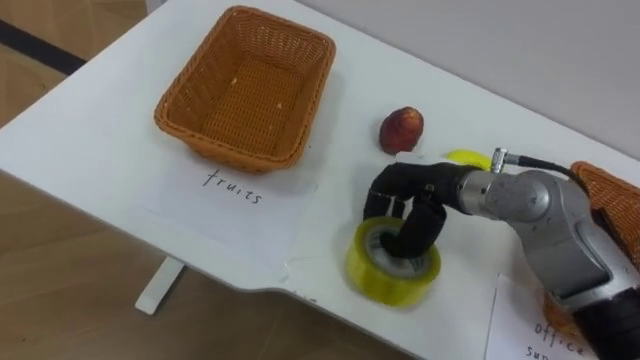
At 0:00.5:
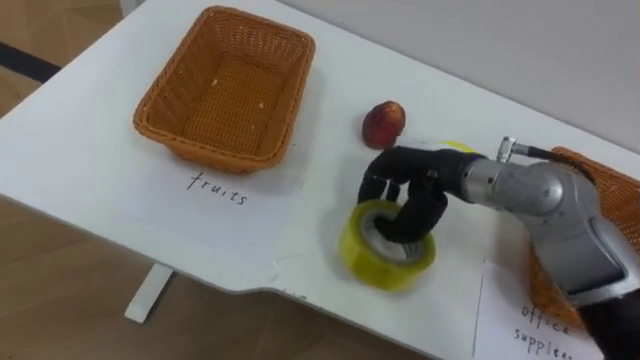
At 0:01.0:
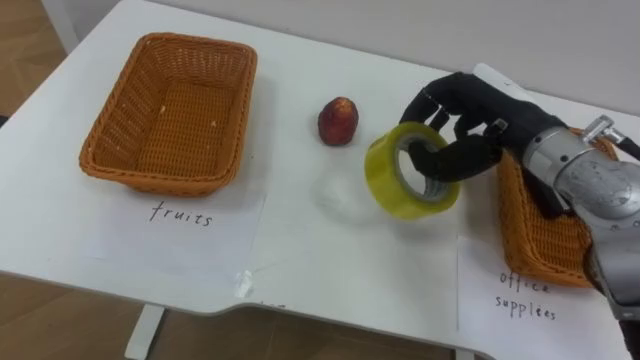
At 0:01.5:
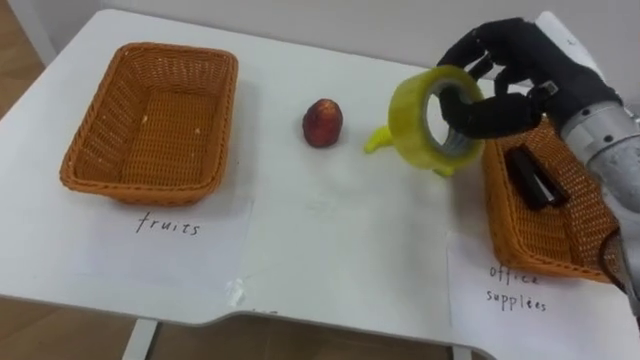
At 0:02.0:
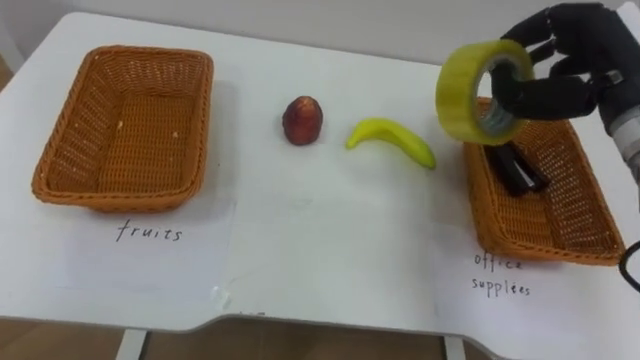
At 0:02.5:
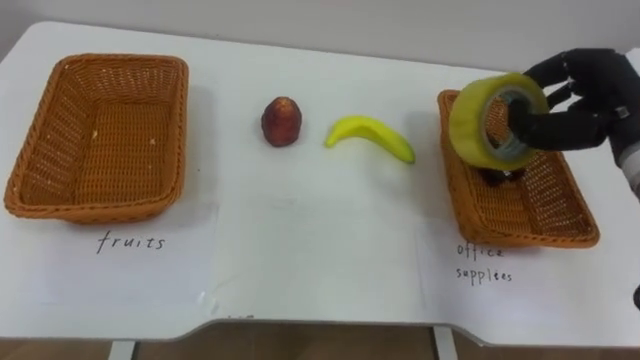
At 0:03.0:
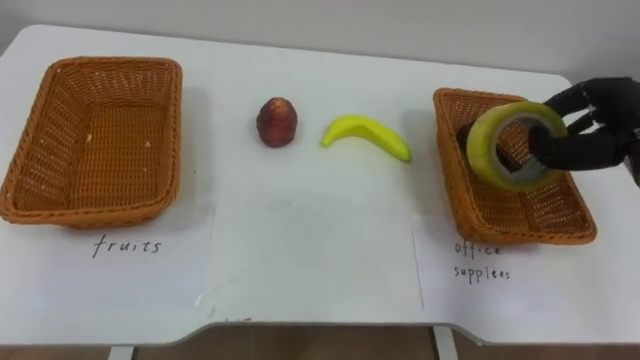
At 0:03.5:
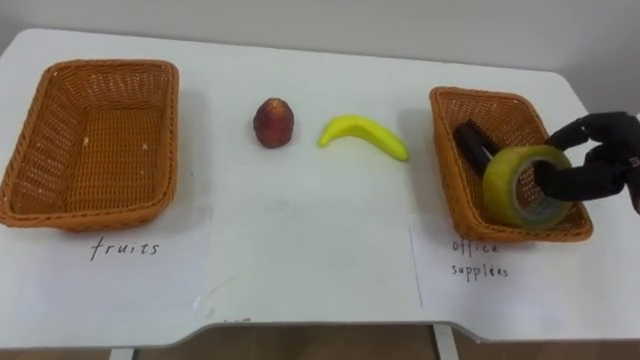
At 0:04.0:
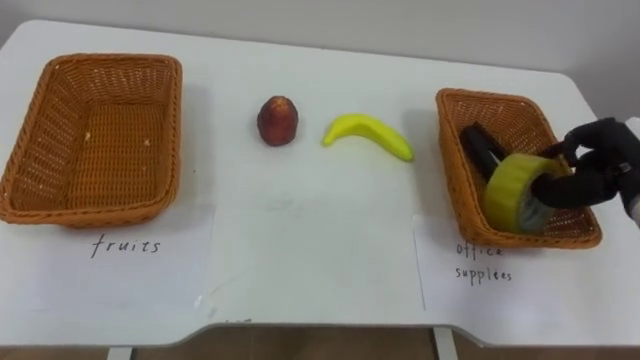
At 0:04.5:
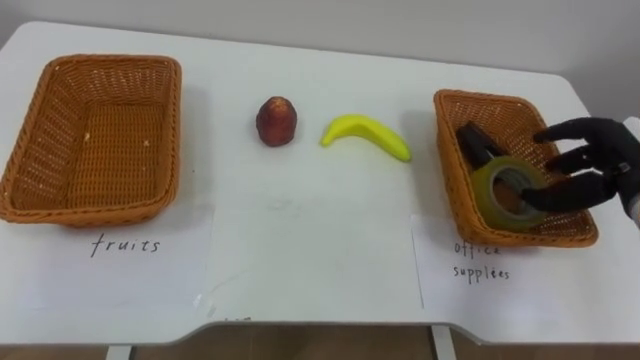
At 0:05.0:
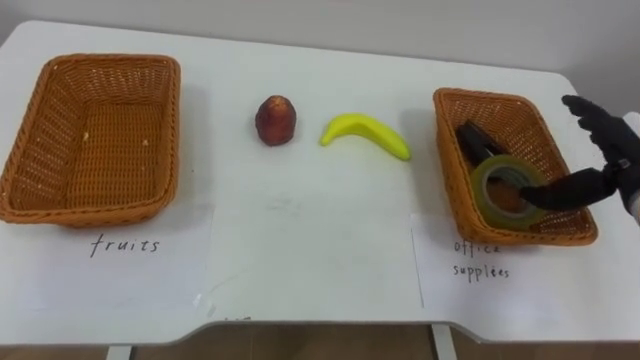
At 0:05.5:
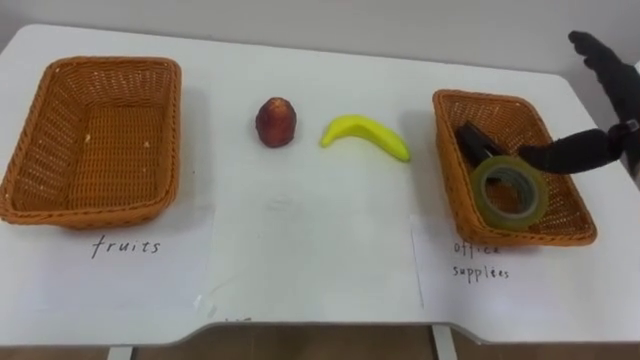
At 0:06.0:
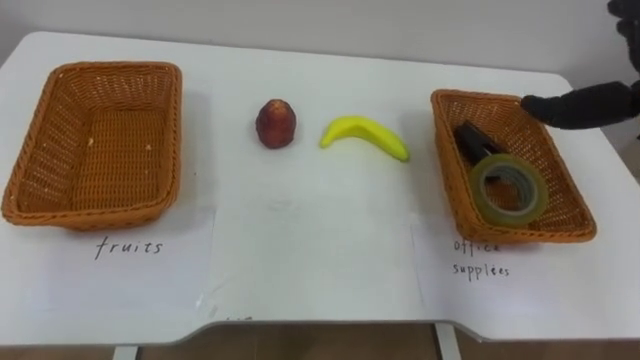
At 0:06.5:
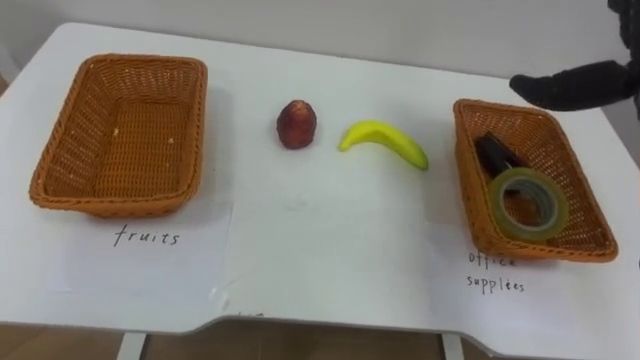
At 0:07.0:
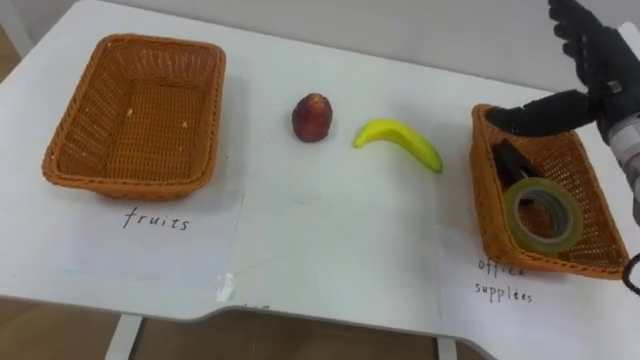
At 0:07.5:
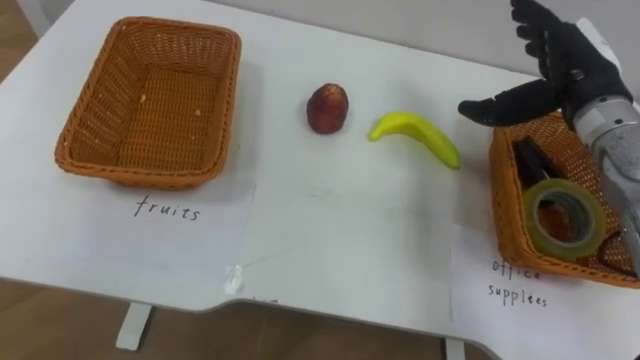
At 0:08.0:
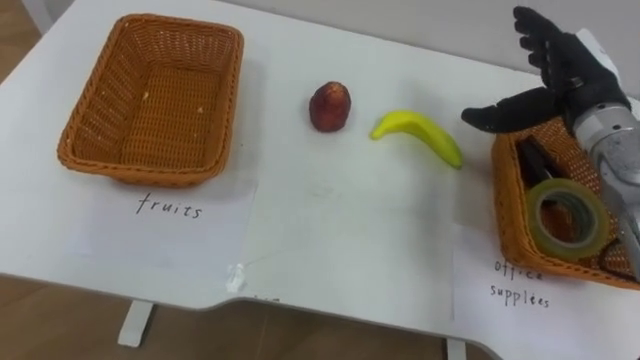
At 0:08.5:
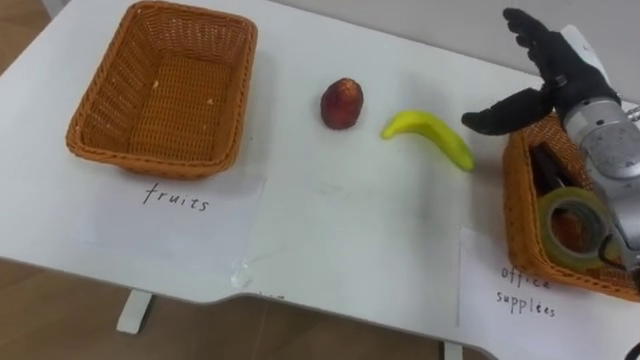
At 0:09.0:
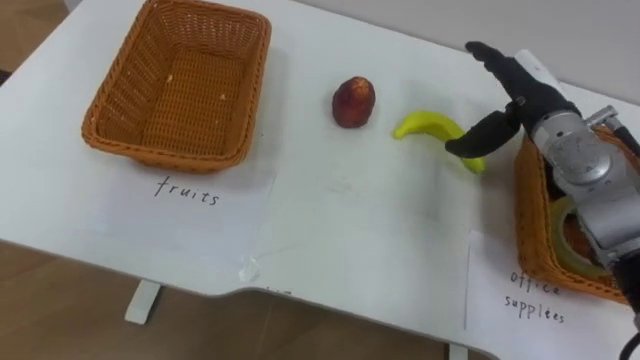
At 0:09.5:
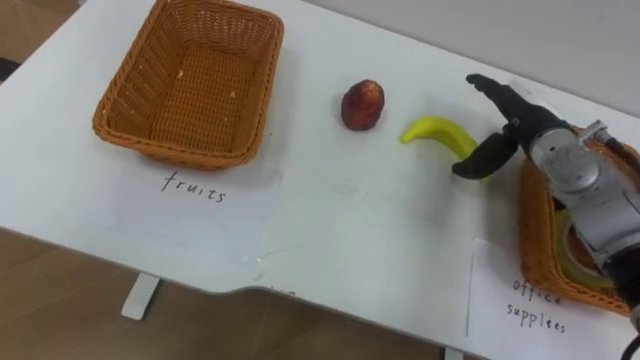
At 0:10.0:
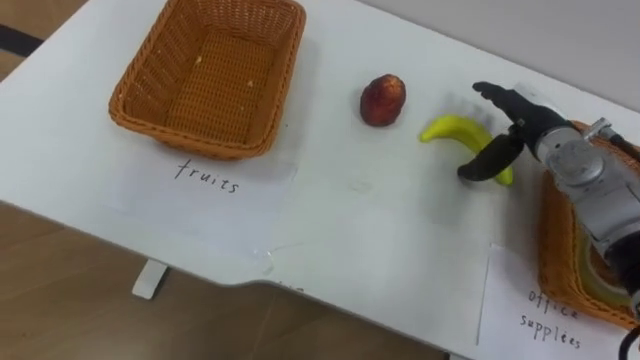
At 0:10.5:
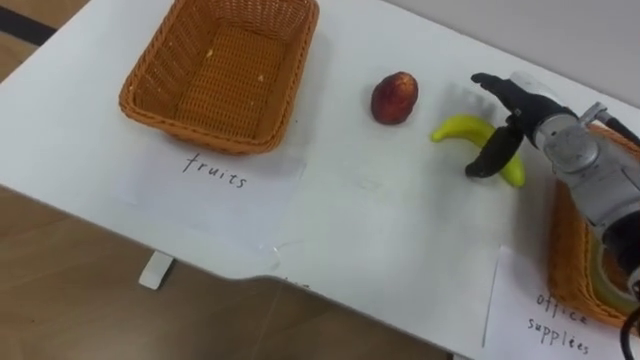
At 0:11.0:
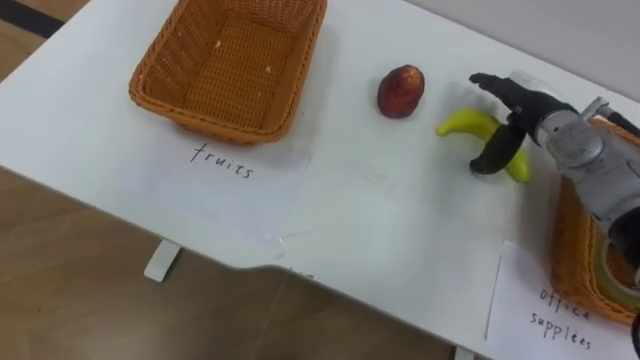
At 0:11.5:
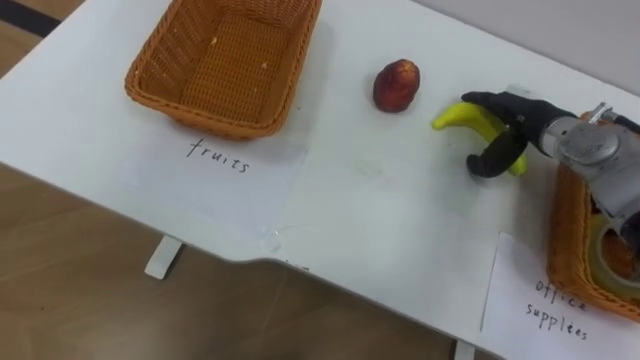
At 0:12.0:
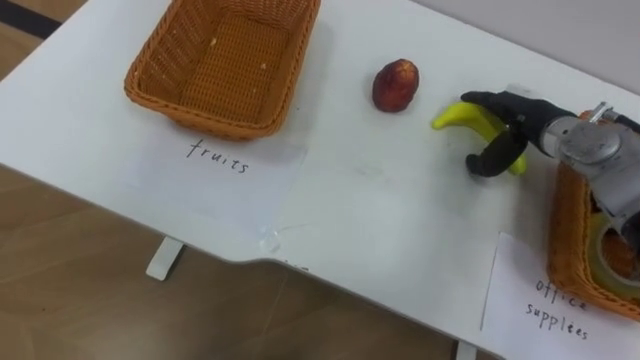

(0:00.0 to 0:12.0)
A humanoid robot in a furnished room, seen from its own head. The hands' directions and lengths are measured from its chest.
Task of the whole recording: Separate the items on the table and place them into the two baskets.
0:00.0 - 0:02.0: The right hand goes about 20 cm to the right and upward.
0:02.0 - 0:04.0: The right hand travels downward and to the right by about 15 cm.
0:08.0 - 0:10.0: The right hand moves downward, roughly 10 cm.

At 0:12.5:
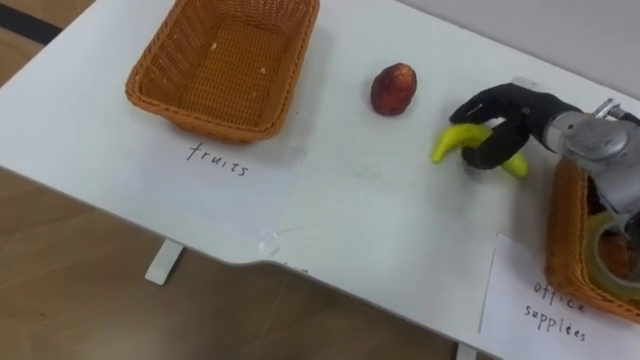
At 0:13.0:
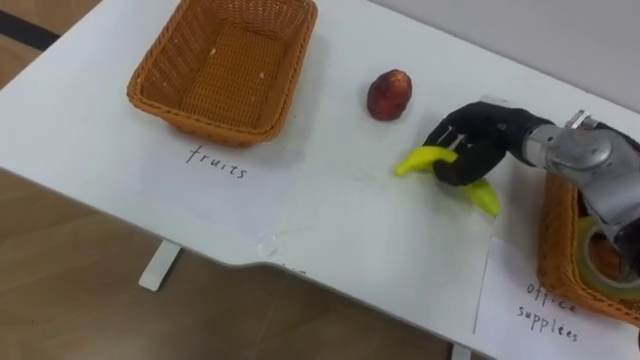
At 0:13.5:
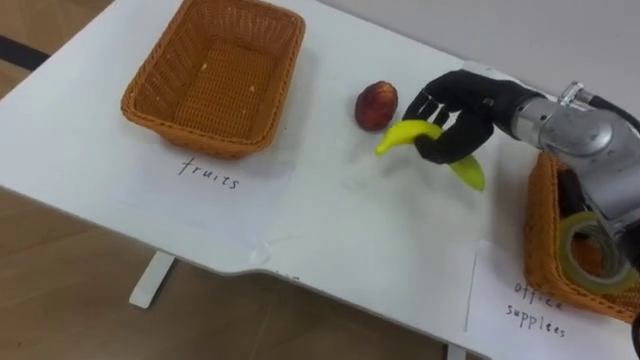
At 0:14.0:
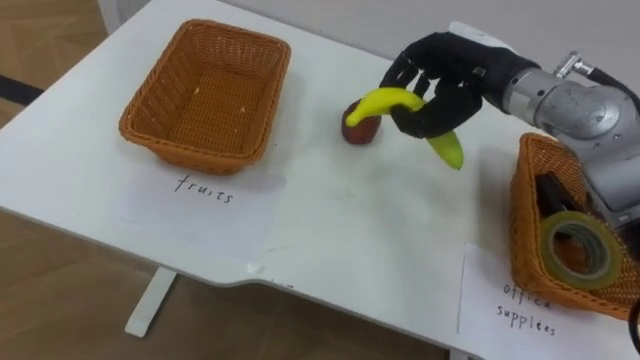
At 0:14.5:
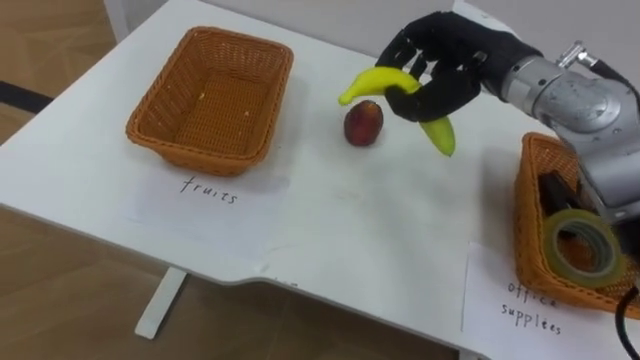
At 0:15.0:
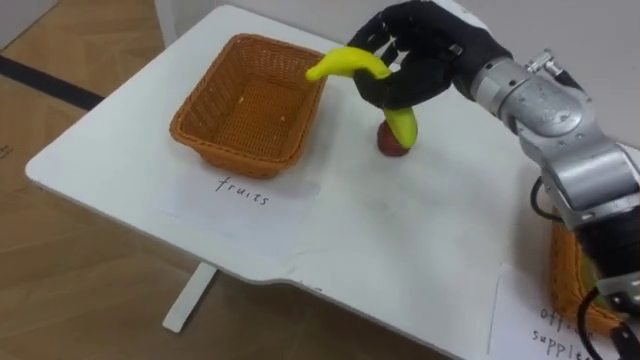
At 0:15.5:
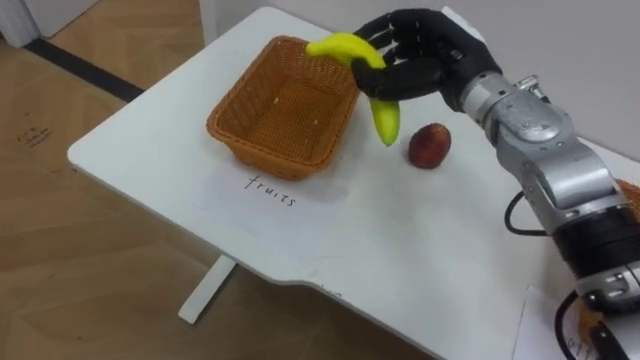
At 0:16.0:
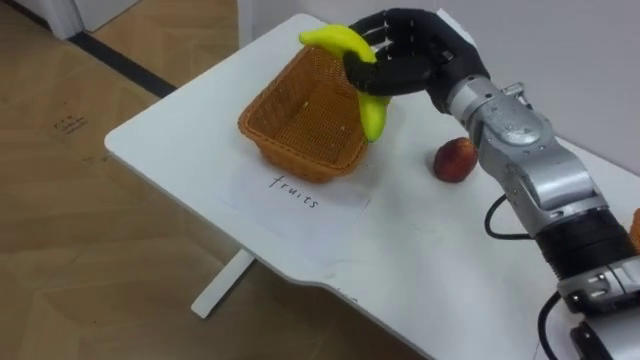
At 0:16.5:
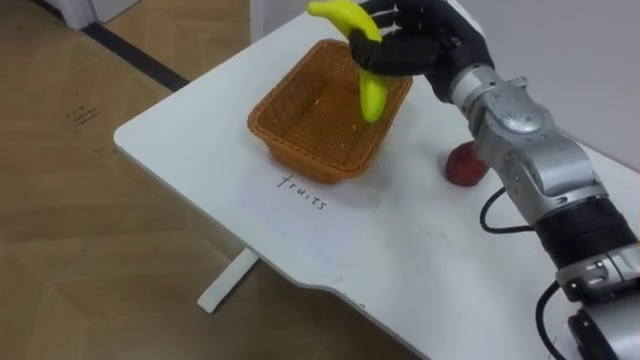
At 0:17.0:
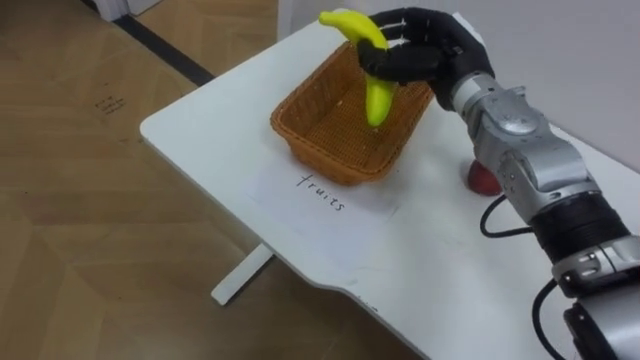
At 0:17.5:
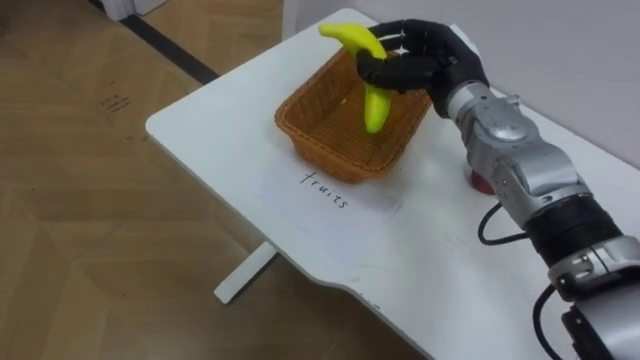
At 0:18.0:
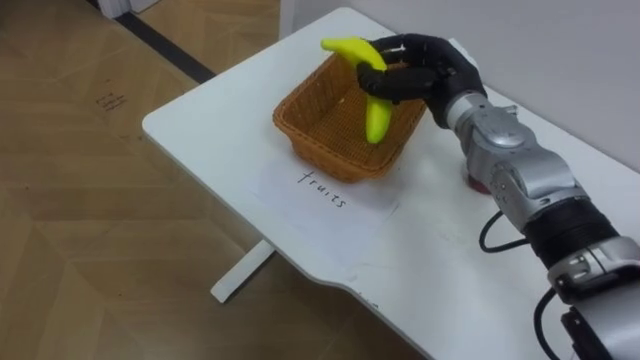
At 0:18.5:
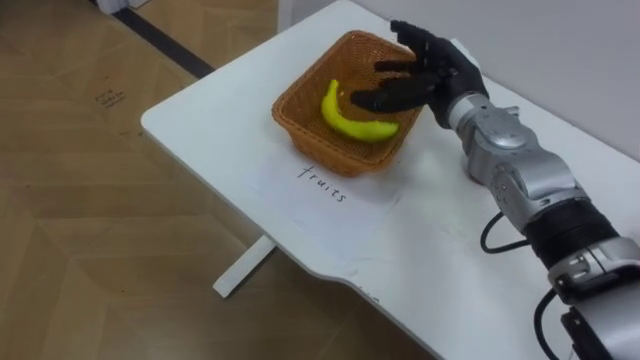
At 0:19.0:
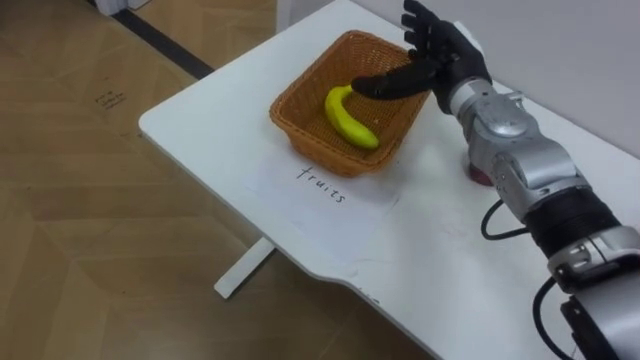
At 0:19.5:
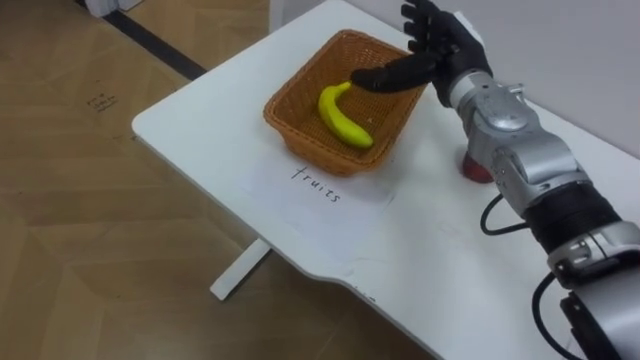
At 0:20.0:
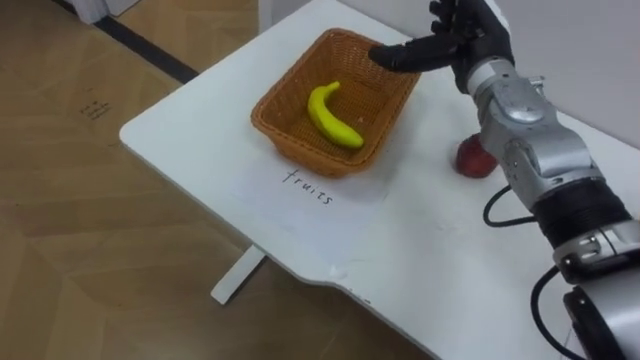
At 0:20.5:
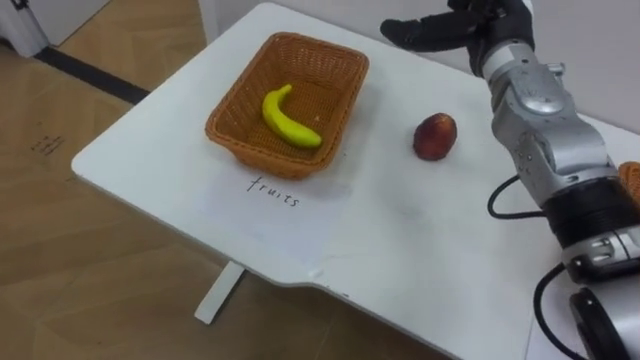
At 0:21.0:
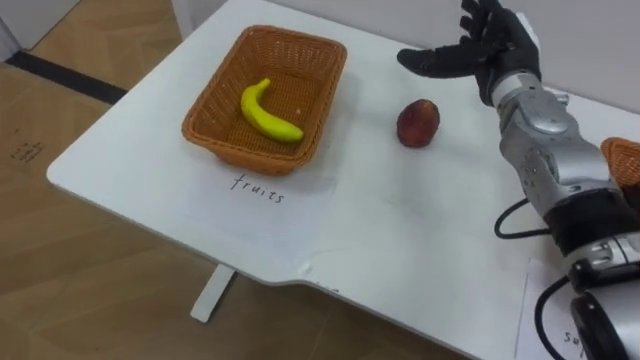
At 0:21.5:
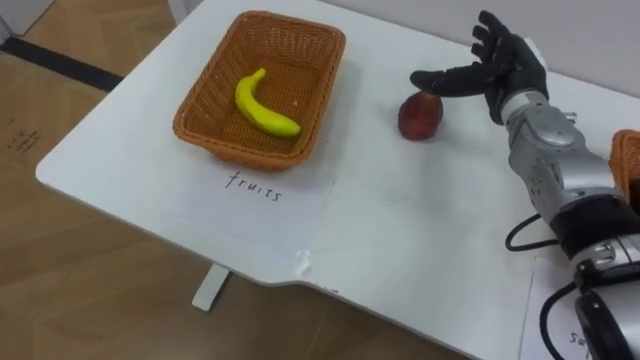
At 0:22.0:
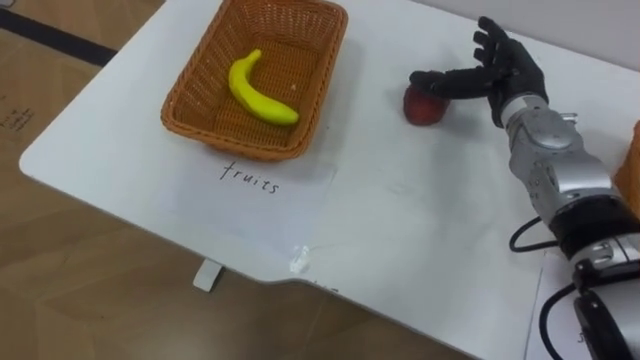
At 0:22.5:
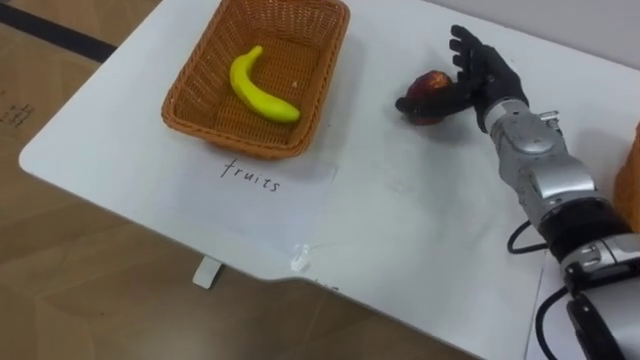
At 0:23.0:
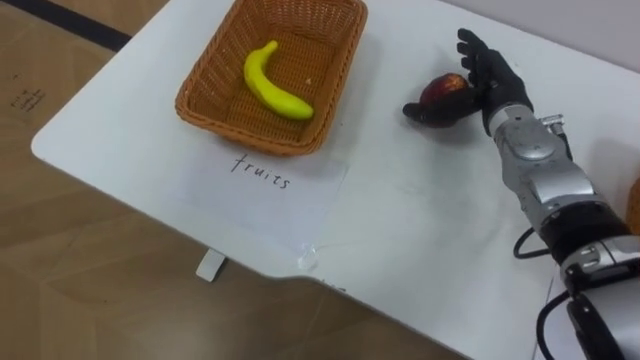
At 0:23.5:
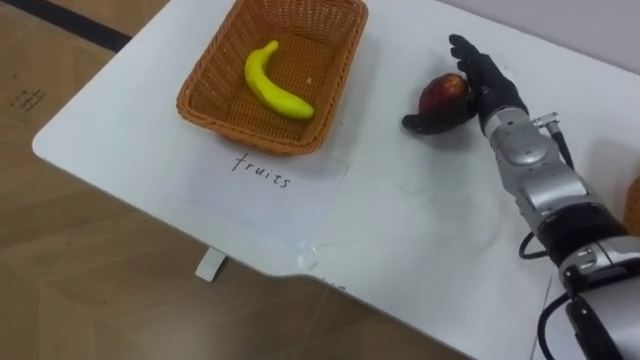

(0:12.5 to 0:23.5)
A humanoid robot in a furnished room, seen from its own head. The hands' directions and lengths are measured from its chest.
Task of the whole recording: Separate the items on the table and place them into the two baskets.
0:12.5 - 0:14.5: The right hand heads upward and to the left, covering roughly 15 cm, and closes its fingers.
0:18.0 - 0:20.0: The right hand opens its fingers.
0:20.0 - 0:21.5: The right hand goes about 5 cm to the right.
